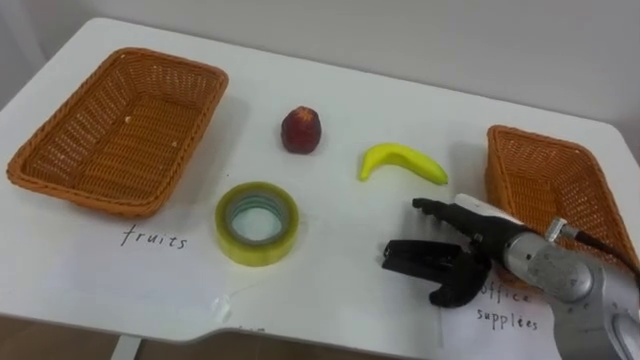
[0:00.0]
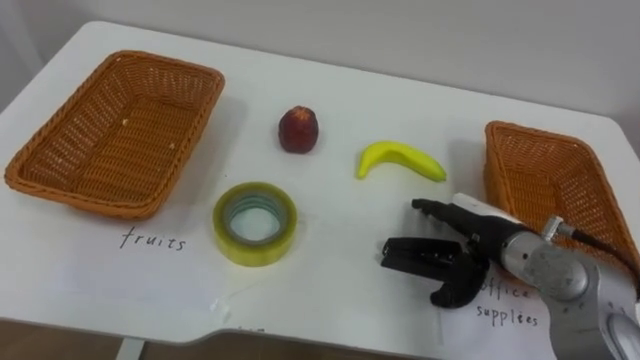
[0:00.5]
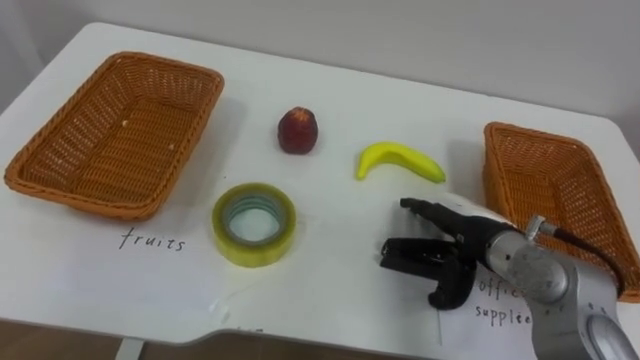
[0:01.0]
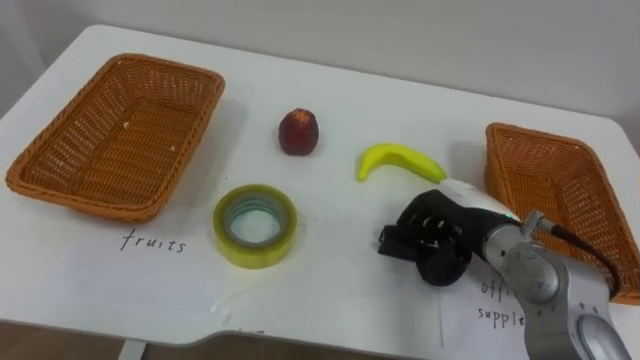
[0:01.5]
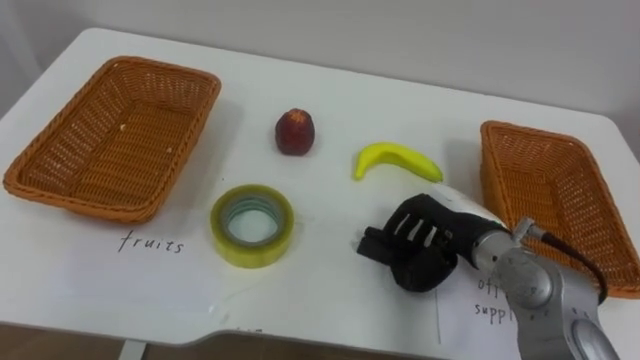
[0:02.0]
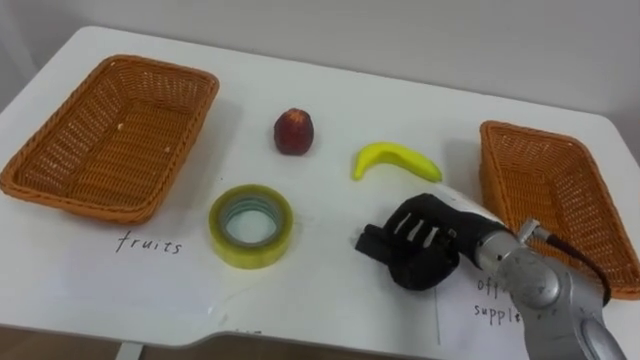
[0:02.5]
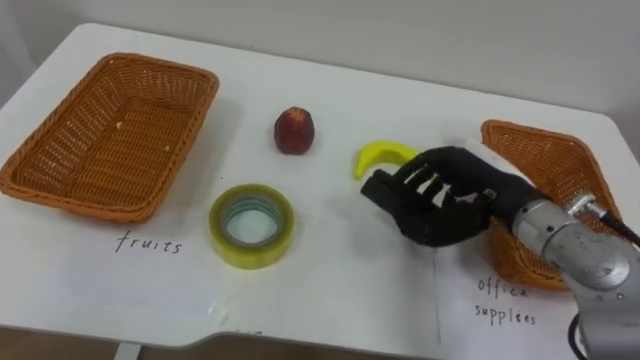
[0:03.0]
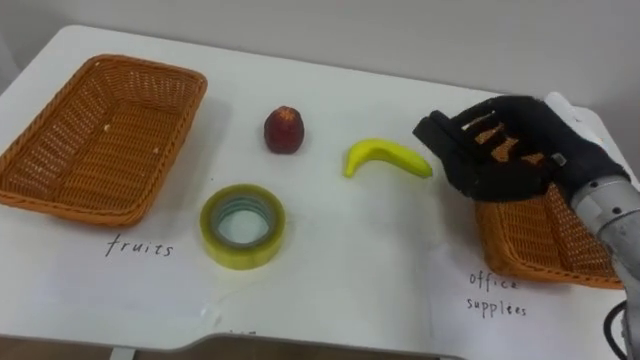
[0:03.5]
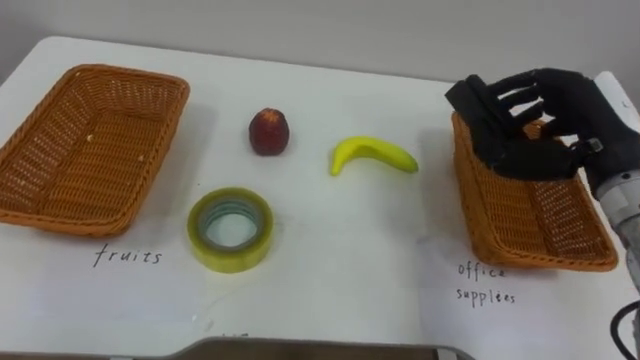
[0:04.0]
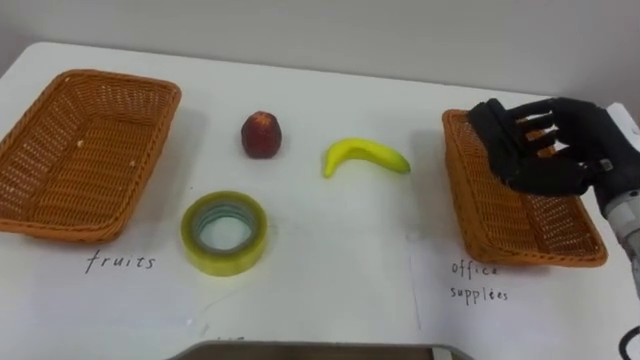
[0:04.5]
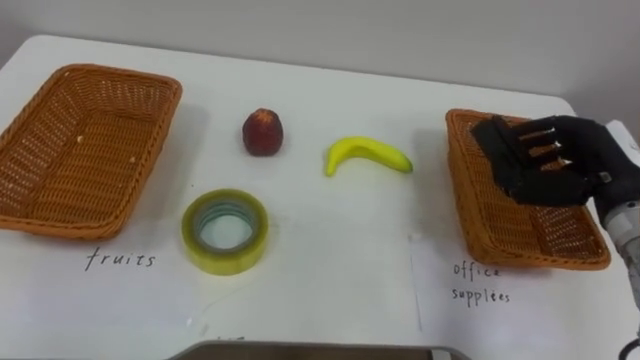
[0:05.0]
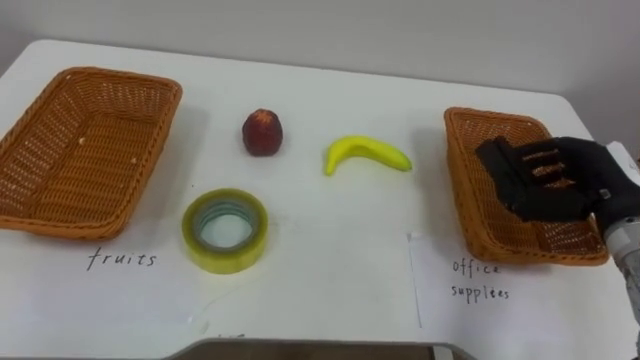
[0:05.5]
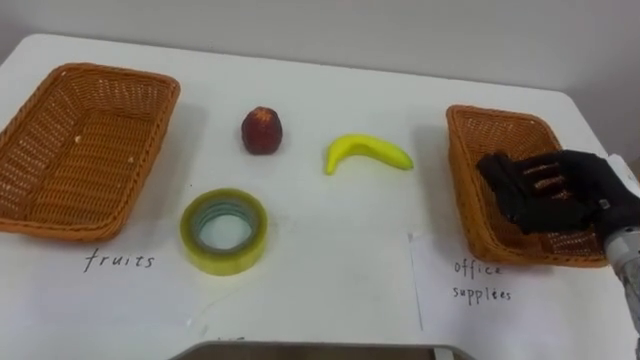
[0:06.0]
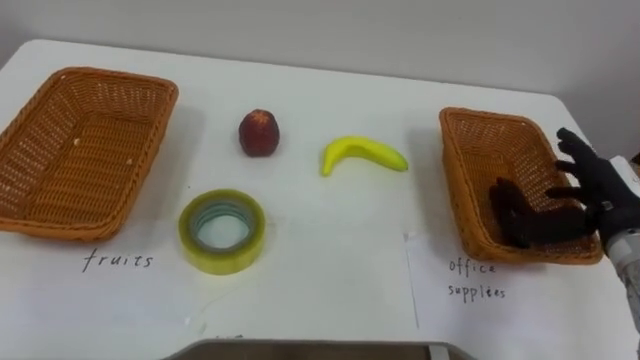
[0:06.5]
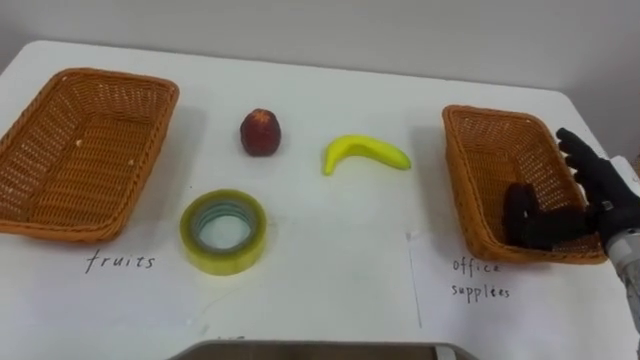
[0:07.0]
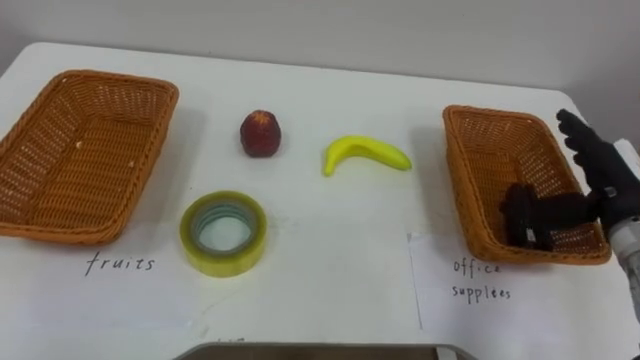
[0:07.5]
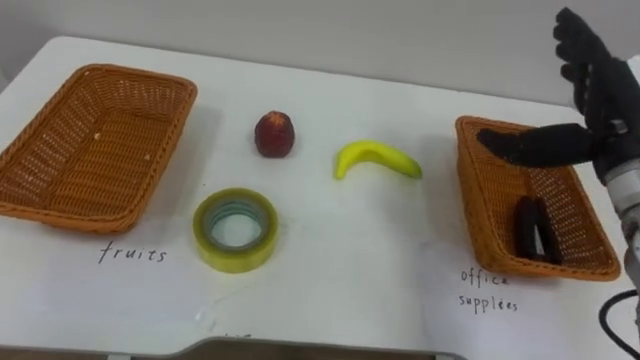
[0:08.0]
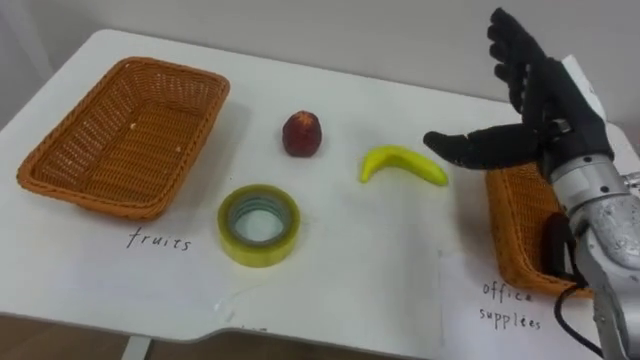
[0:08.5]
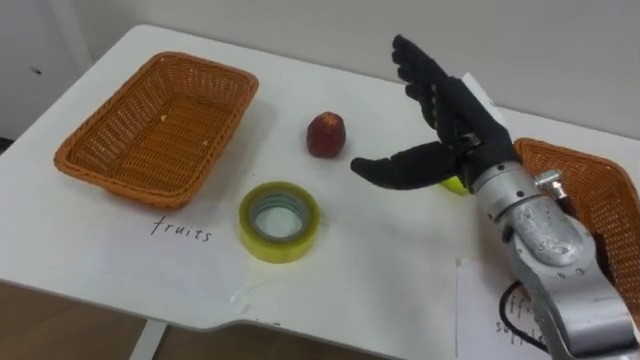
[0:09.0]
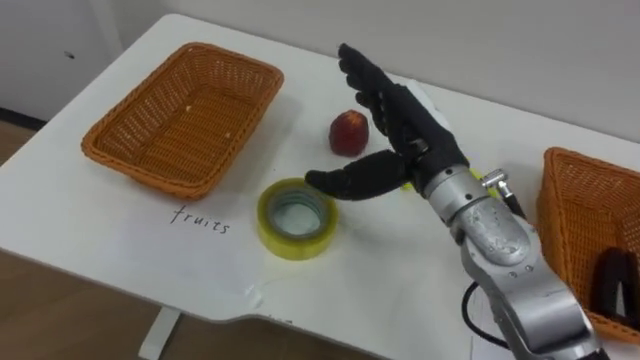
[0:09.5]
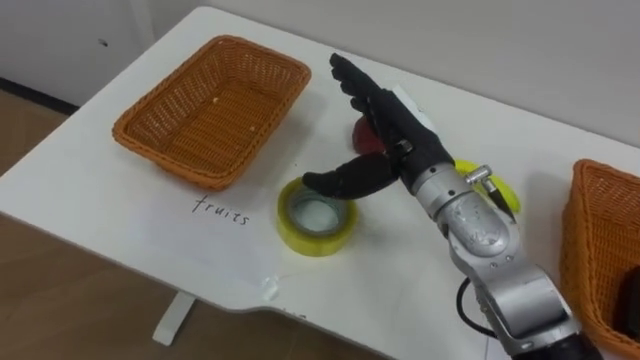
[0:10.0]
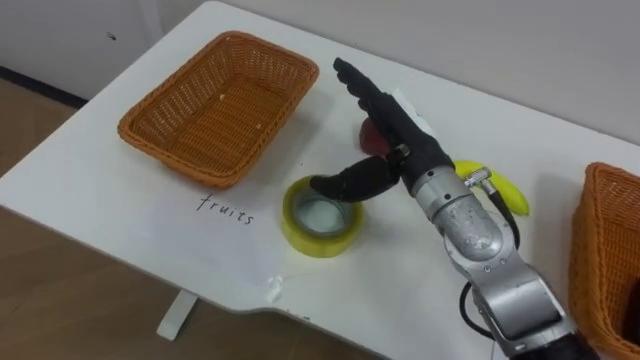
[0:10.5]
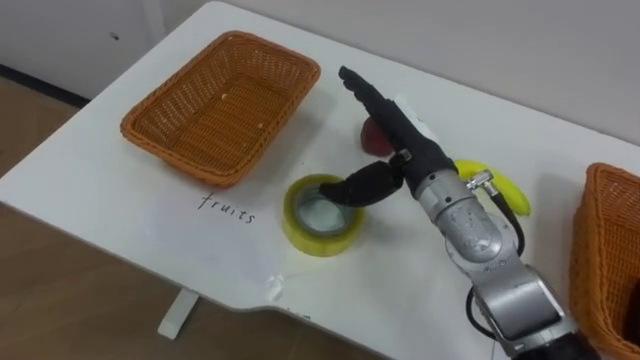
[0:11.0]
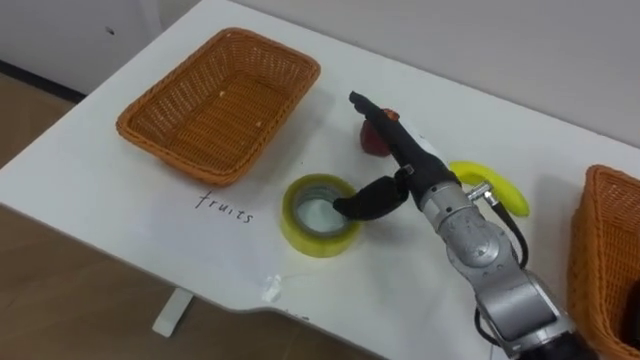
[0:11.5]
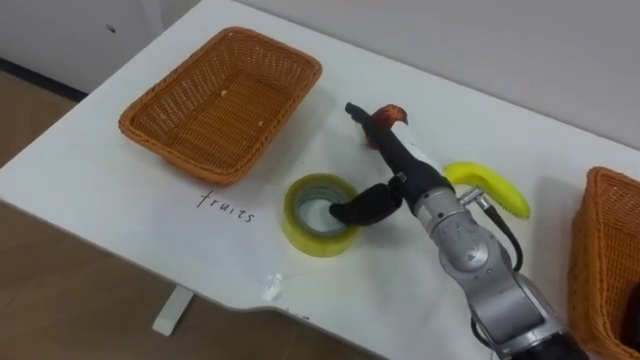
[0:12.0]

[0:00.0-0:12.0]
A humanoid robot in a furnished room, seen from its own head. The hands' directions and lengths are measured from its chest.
Task of the whole recording: Separate the items on the table and place them into the two baskets.
0.0 to 2.0 s: The right hand closes its fingers.
2.0 to 4.0 s: The right hand goes some 15 cm upward and to the right.
4.0 to 6.0 s: The right hand travels downward and to the right by some 10 cm.
6.0 to 8.0 s: The right hand travels upward by approximately 10 cm, and opens up.
8.0 to 10.0 s: The right hand heads to the left, covering some 20 cm.
10.0 to 12.0 s: The right hand goes about 5 cm downward.

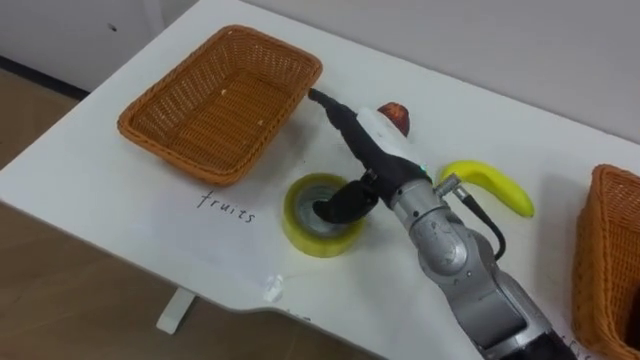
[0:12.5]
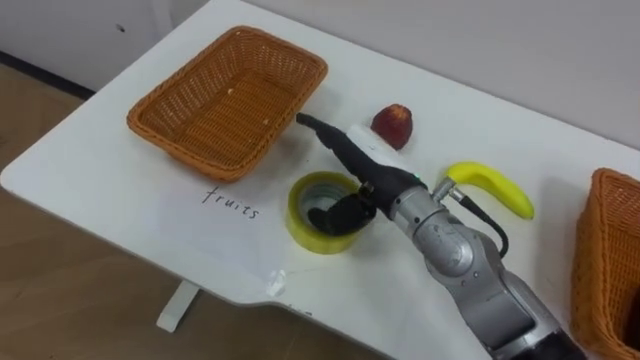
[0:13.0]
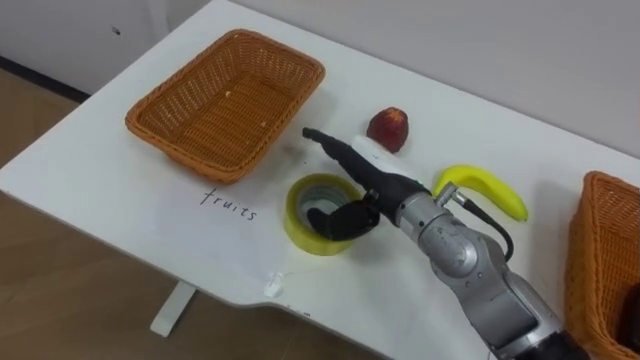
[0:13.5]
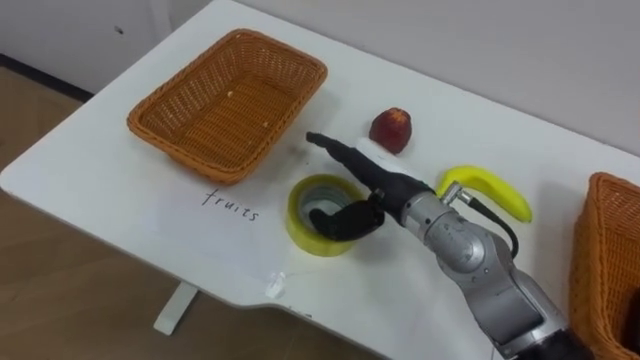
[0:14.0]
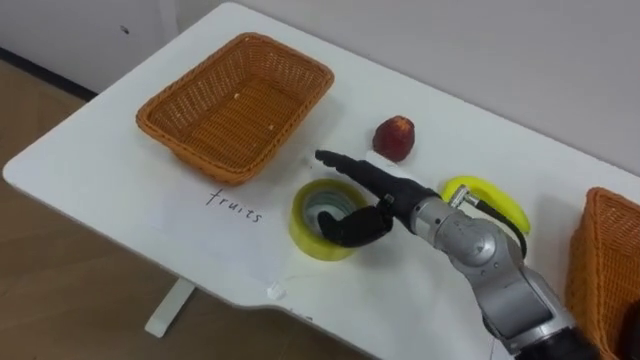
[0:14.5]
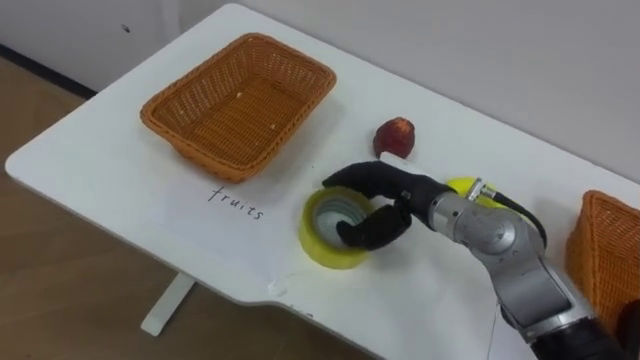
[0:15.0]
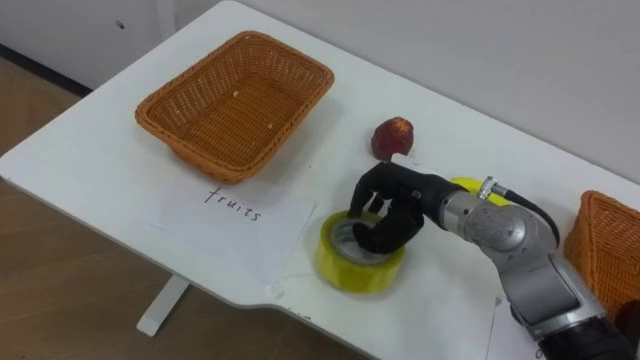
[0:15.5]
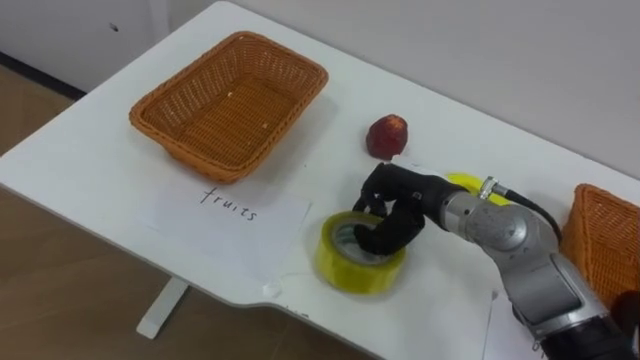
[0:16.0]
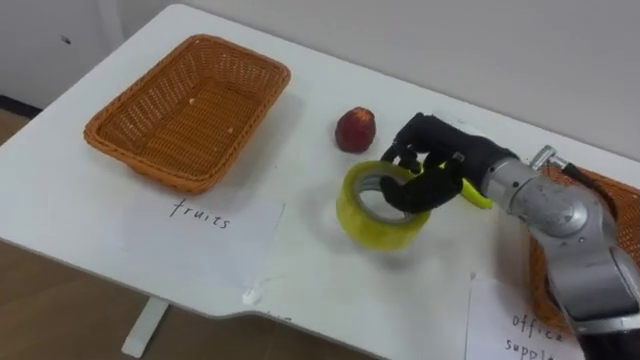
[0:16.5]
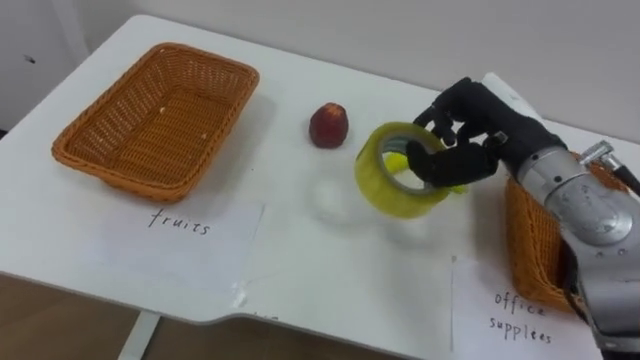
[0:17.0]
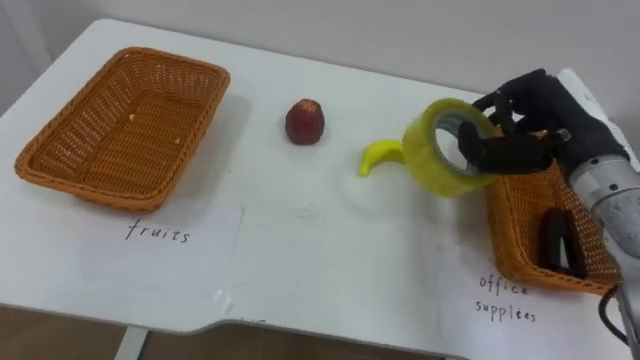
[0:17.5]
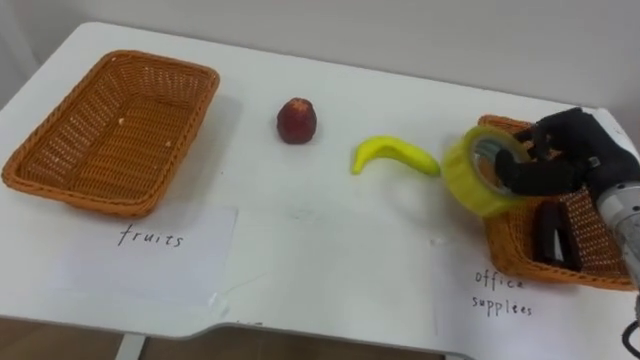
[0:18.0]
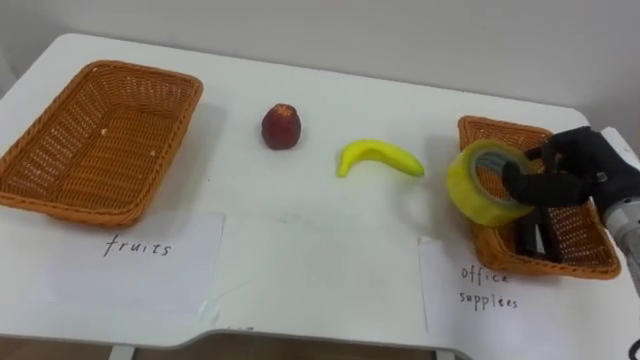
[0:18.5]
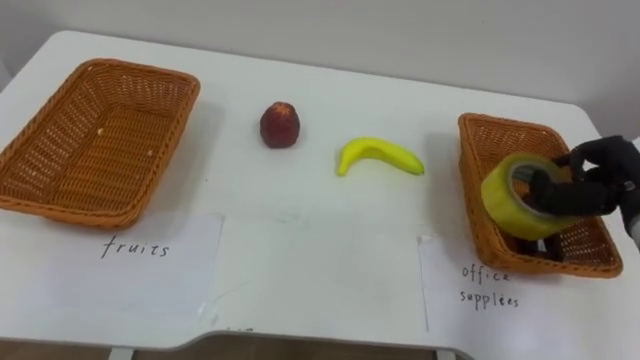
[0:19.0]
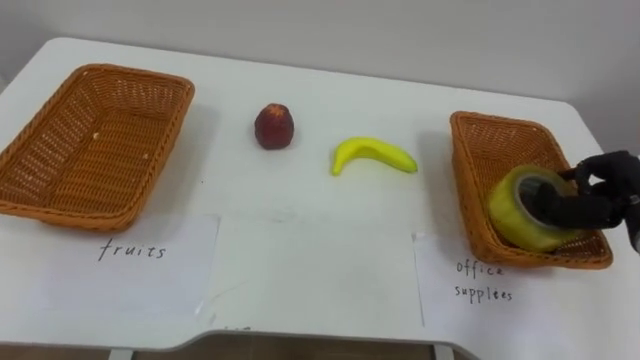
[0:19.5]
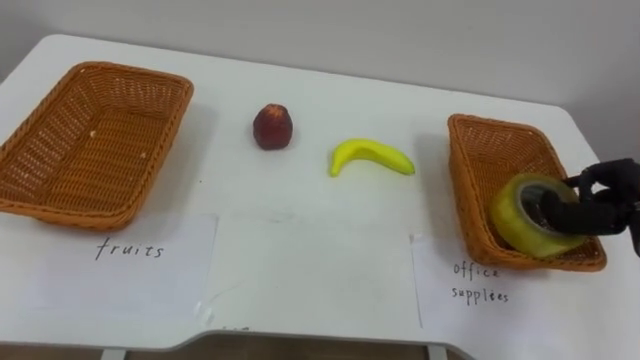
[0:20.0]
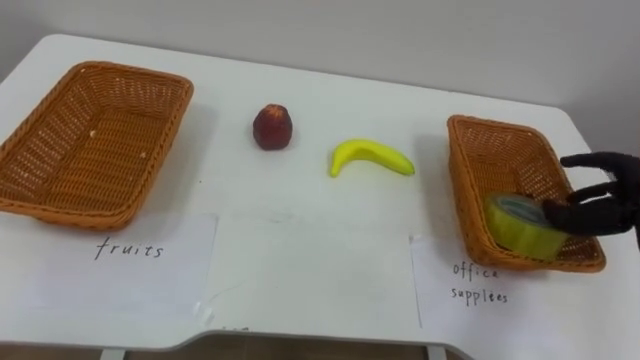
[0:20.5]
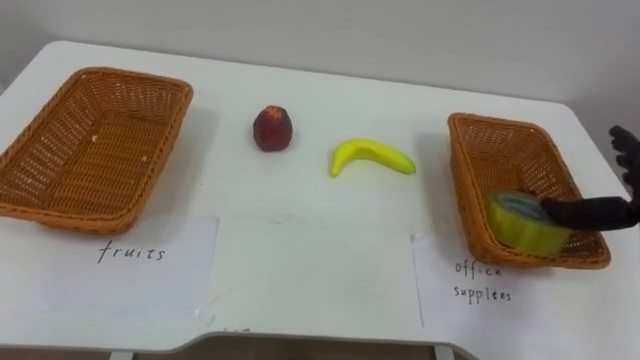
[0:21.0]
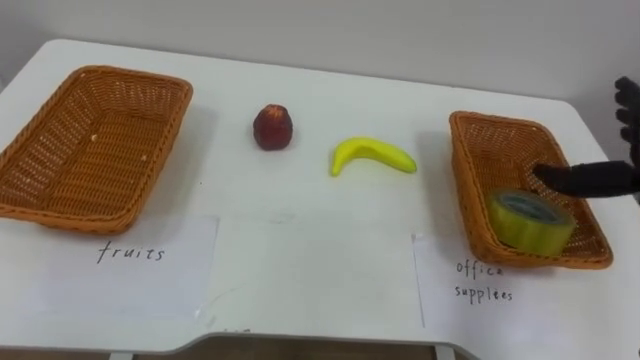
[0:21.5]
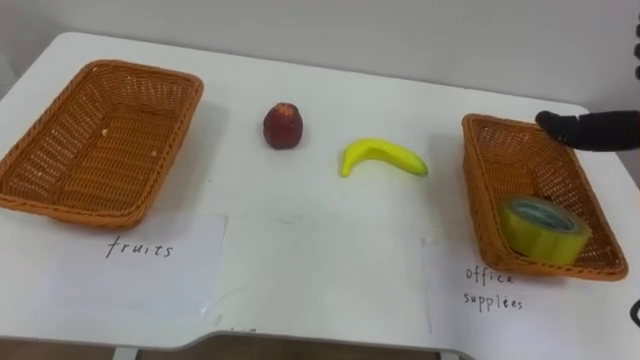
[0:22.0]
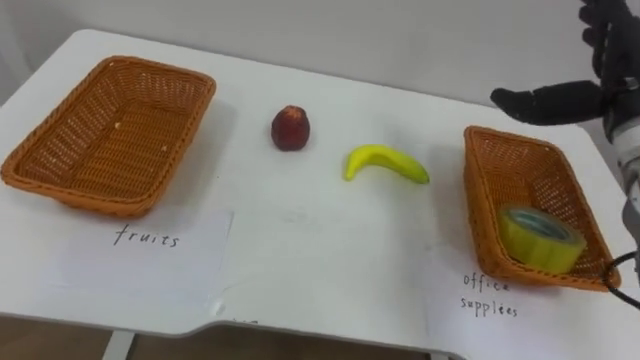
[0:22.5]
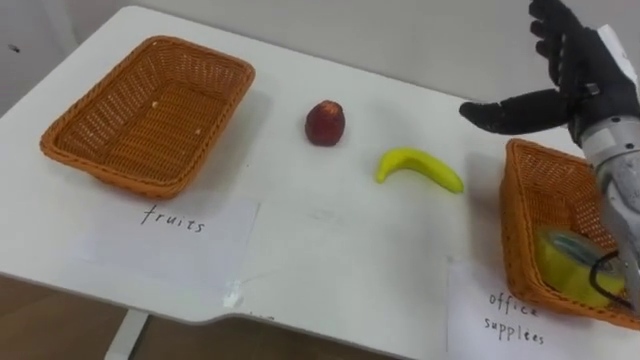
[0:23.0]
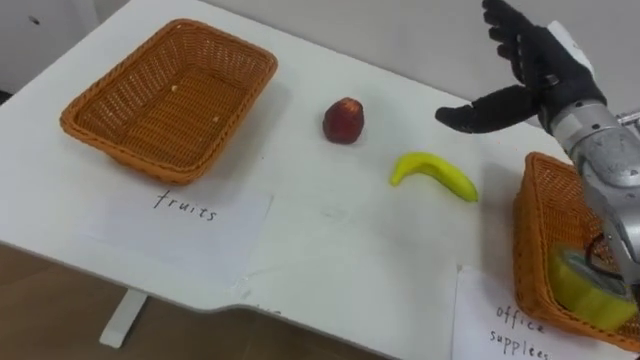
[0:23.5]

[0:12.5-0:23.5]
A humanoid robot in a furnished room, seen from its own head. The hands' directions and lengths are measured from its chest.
Task of the whole recording: Separate the items on the table and place them into the two baskets.
12.5 to 14.5 s: The right hand shifts about 5 cm downward.
14.5 to 16.0 s: The right hand closes its fingers.
16.0 to 18.0 s: The right hand shifts some 20 cm to the right.
18.0 to 20.0 s: The right hand goes some 5 cm to the right.
